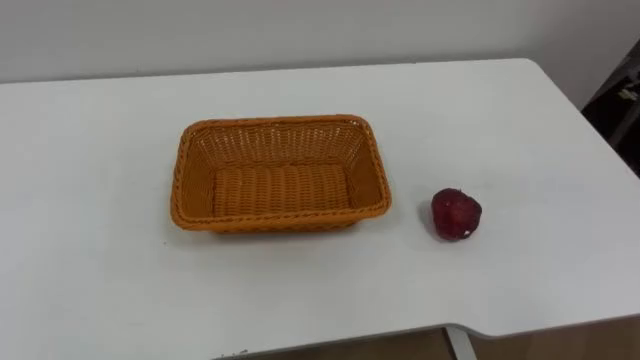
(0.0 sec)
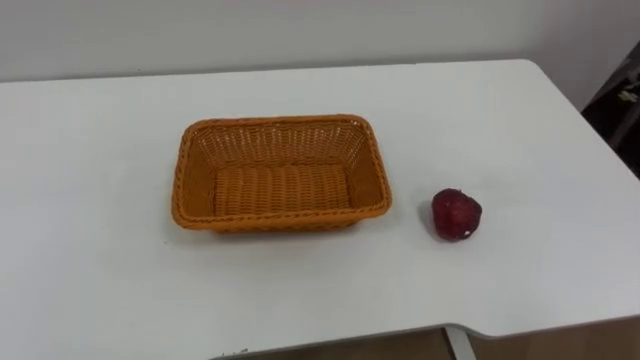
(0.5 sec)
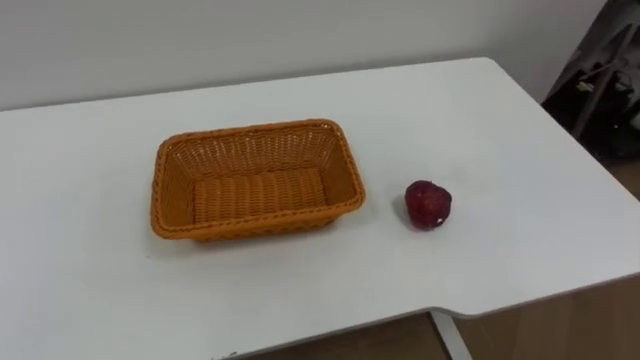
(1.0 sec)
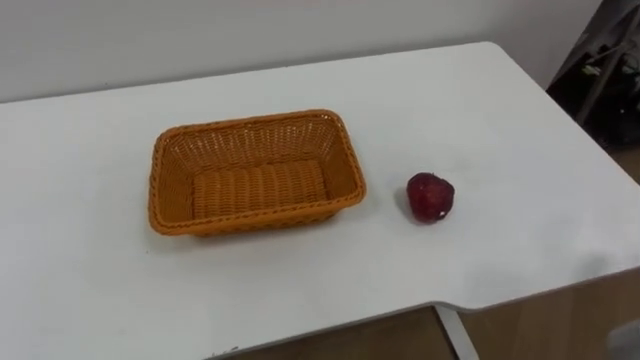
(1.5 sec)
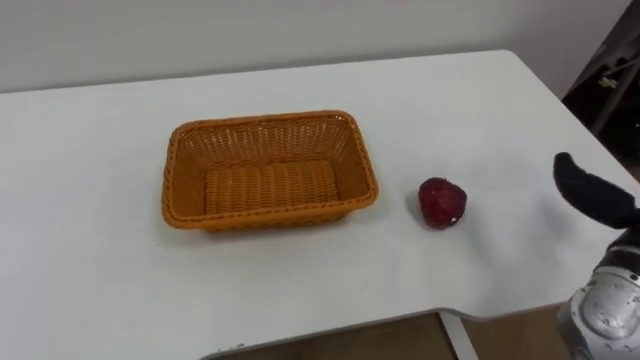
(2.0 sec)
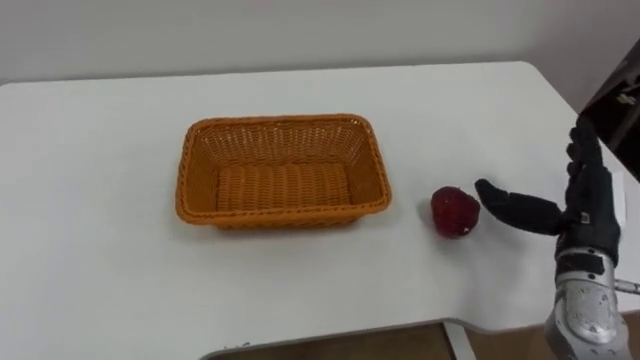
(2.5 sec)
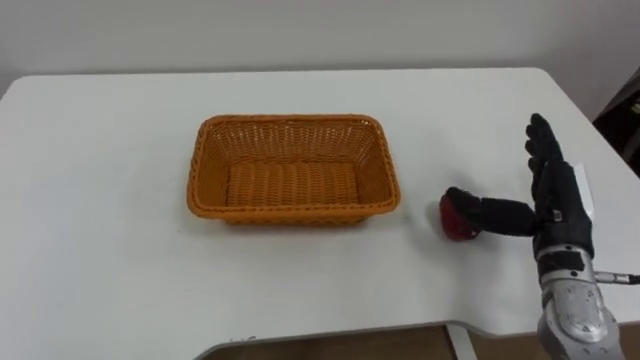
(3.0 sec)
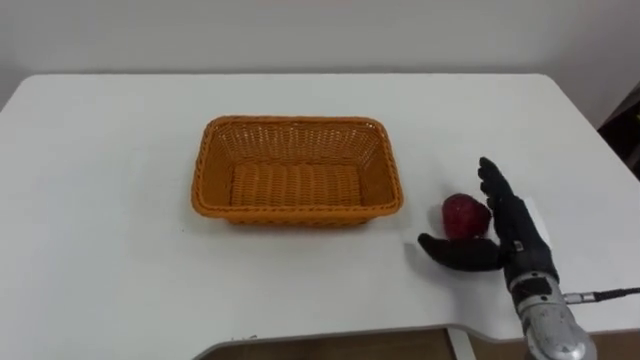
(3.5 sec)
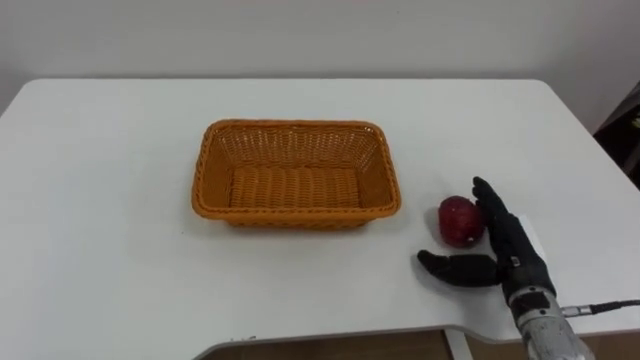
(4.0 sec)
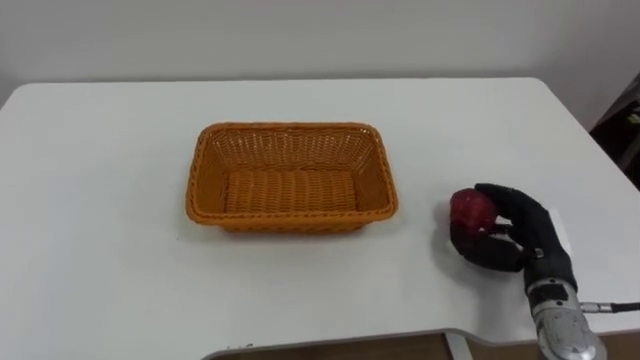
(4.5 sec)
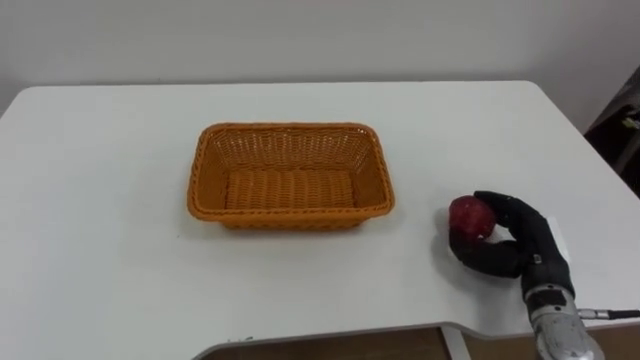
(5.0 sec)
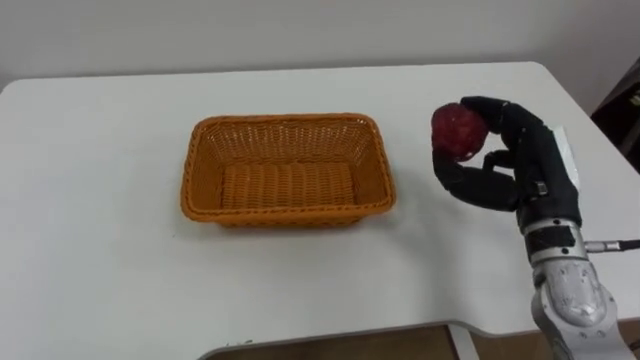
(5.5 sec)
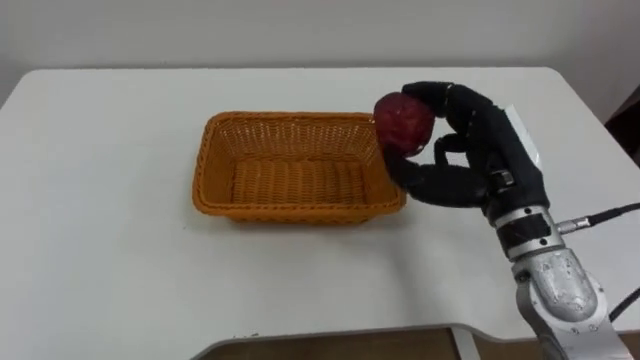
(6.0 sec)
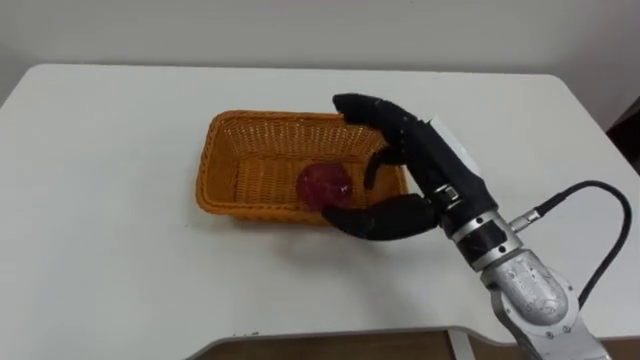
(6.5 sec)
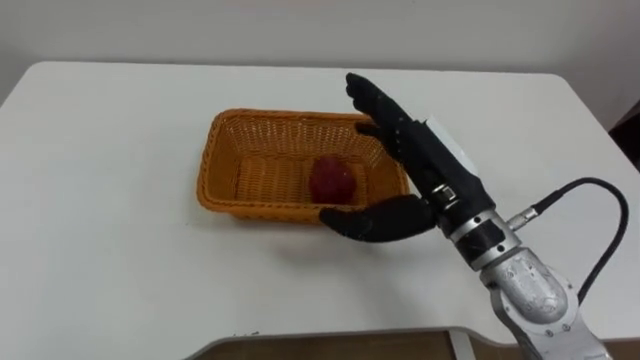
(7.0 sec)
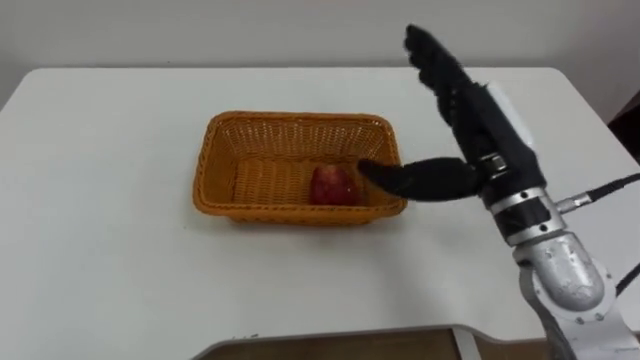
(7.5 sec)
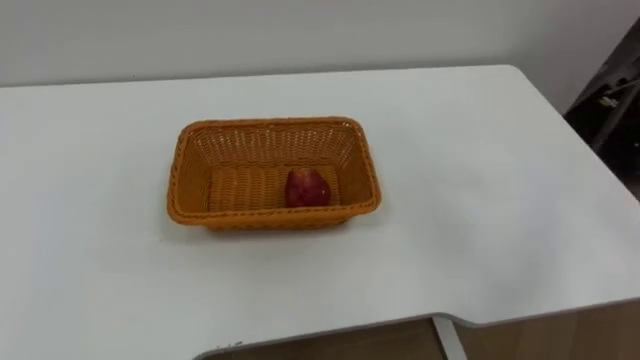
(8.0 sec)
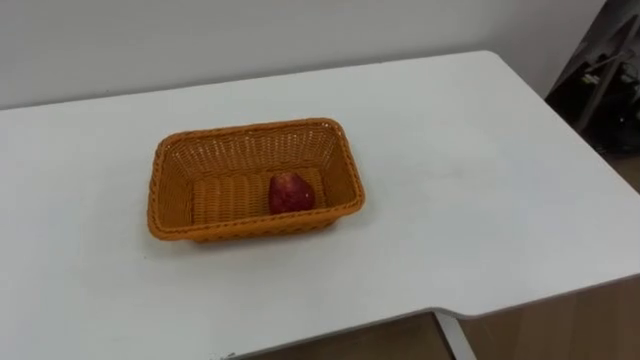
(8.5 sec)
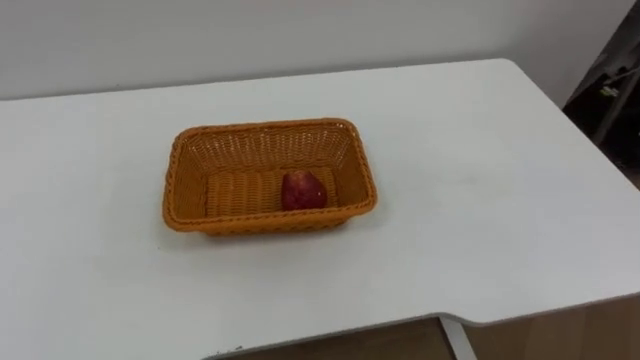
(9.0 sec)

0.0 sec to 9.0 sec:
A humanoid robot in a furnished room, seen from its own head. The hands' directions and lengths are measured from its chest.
Task of the whole recording: Pick the apple and place it in the box.
4.5 sec to 7.0 sec: The right hand shifts approximately 20 cm upward and to the left, and opens up.

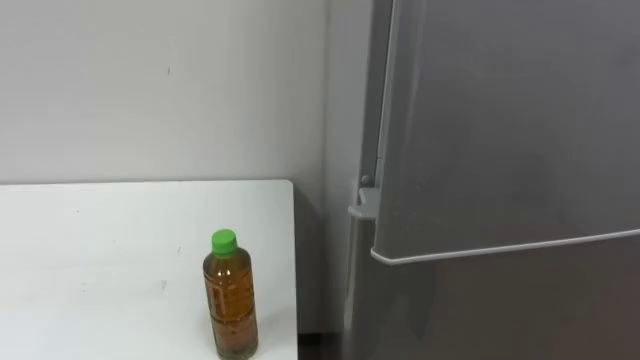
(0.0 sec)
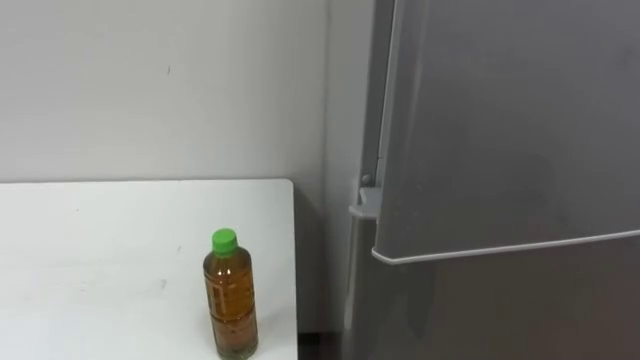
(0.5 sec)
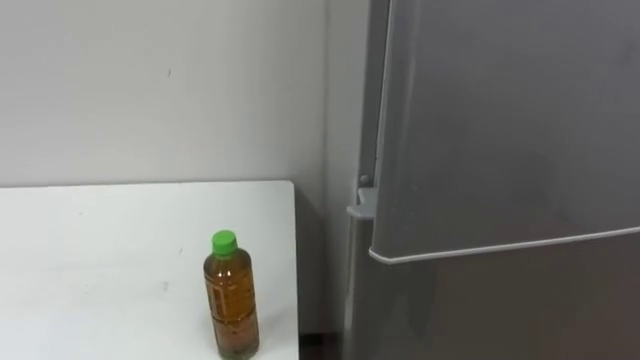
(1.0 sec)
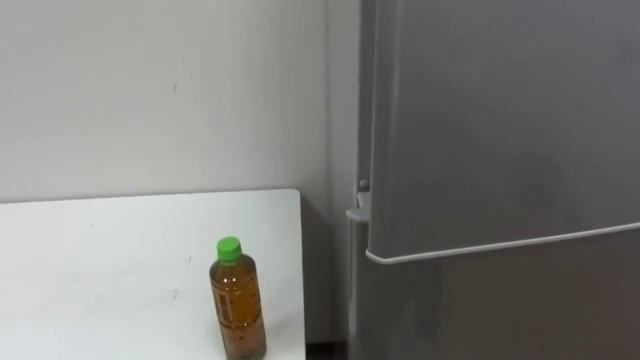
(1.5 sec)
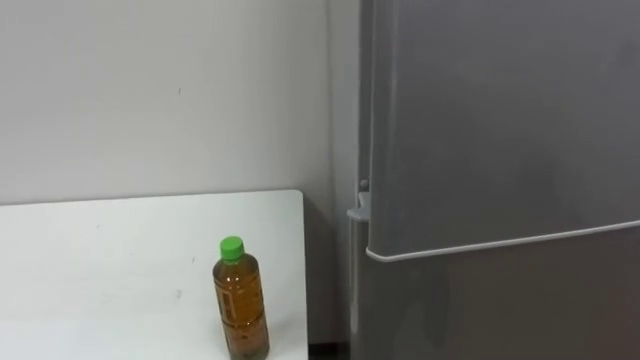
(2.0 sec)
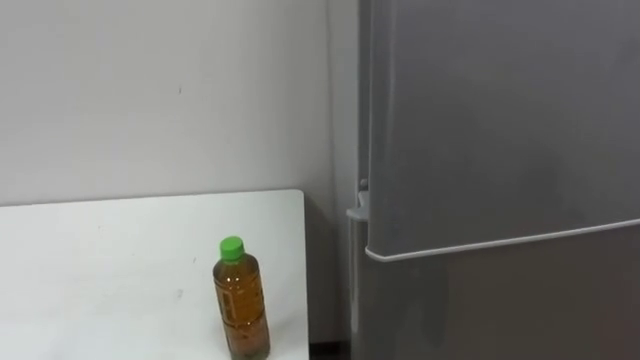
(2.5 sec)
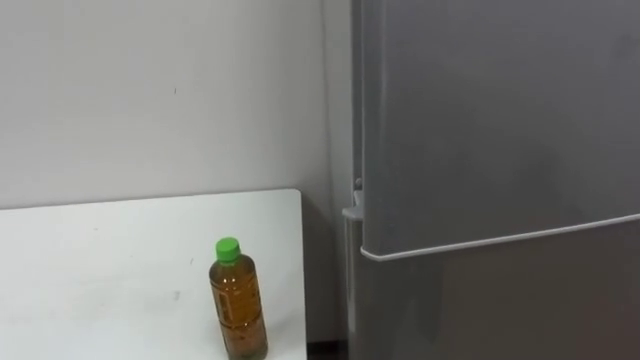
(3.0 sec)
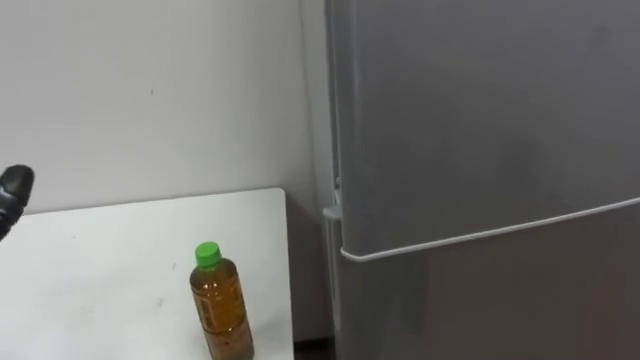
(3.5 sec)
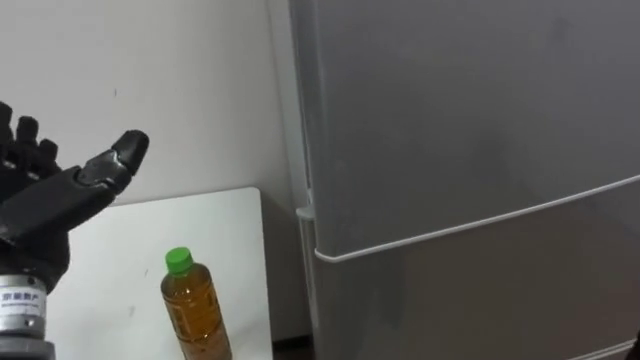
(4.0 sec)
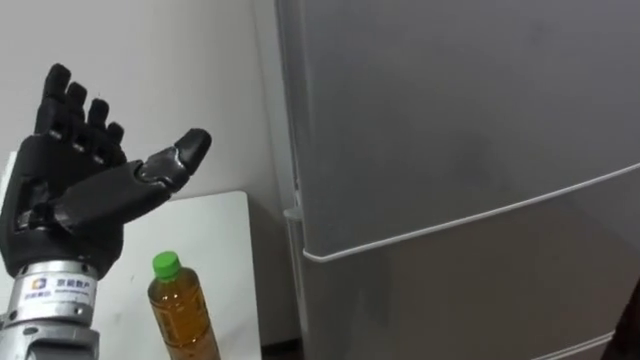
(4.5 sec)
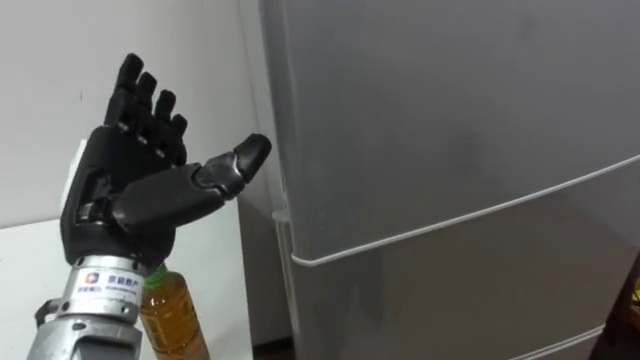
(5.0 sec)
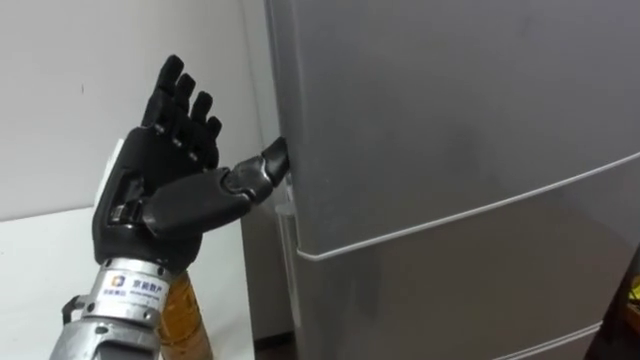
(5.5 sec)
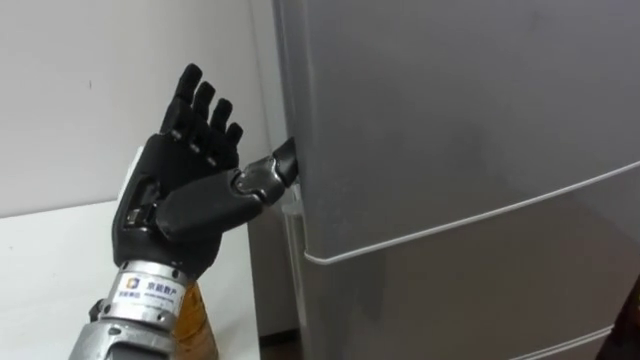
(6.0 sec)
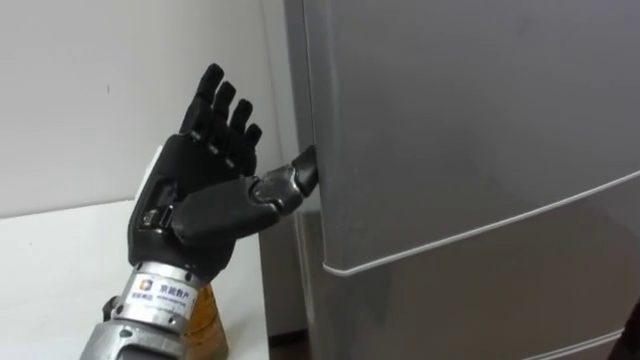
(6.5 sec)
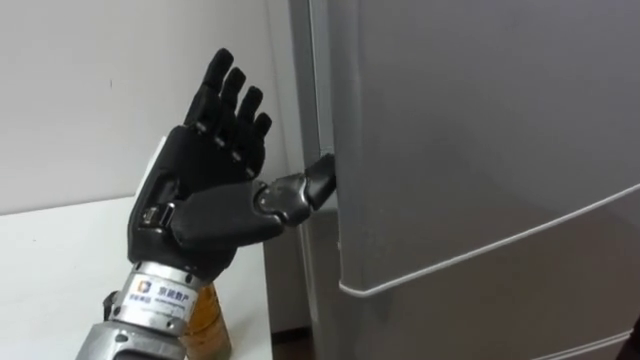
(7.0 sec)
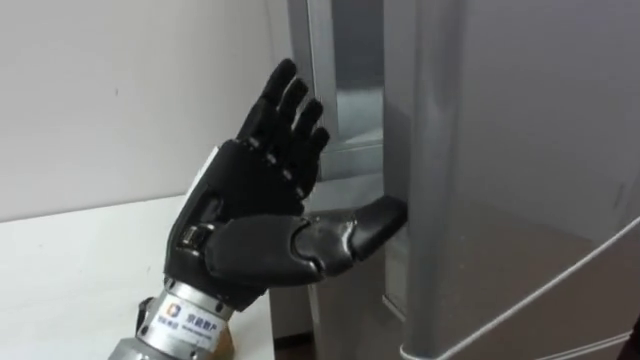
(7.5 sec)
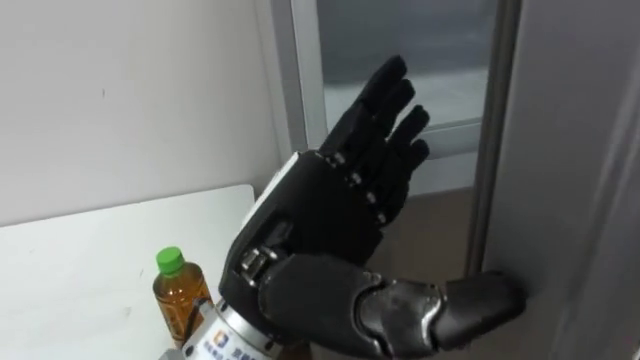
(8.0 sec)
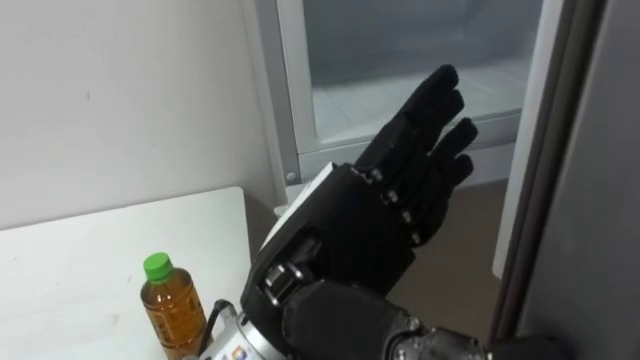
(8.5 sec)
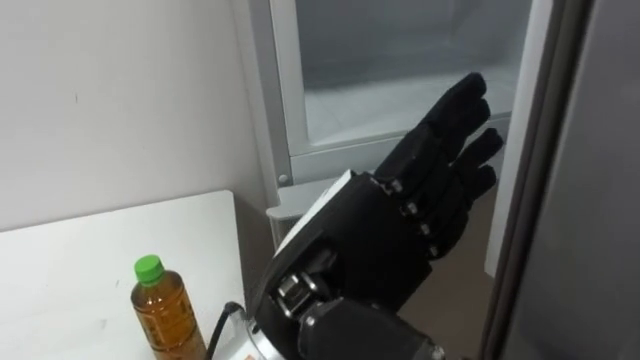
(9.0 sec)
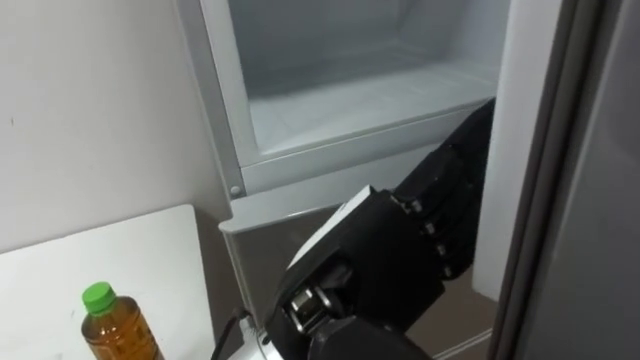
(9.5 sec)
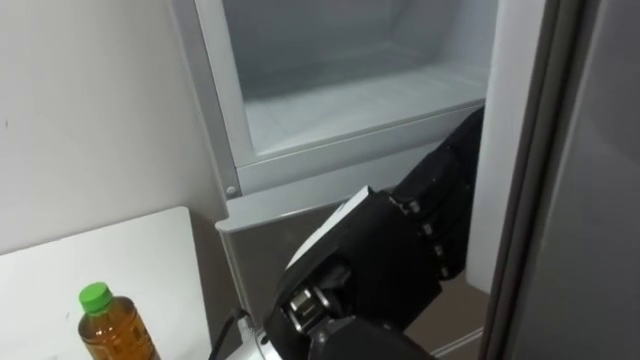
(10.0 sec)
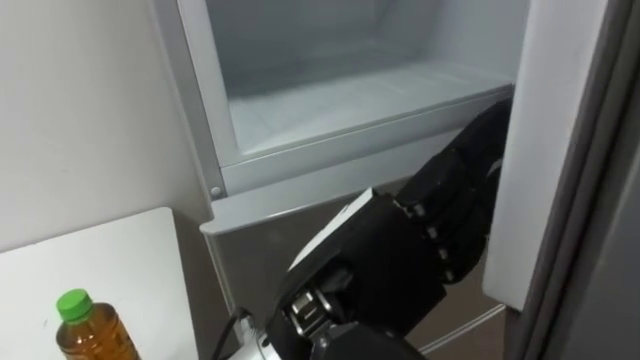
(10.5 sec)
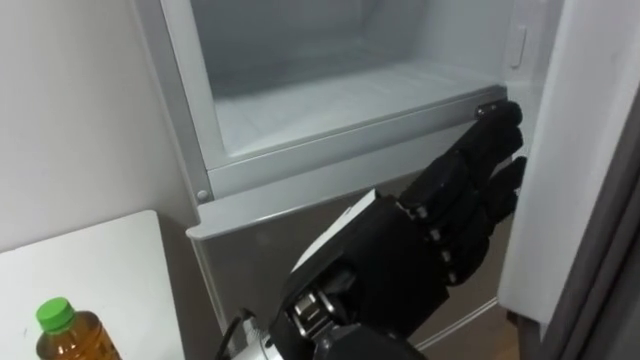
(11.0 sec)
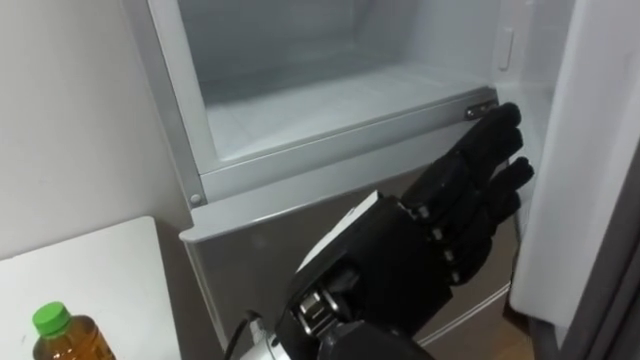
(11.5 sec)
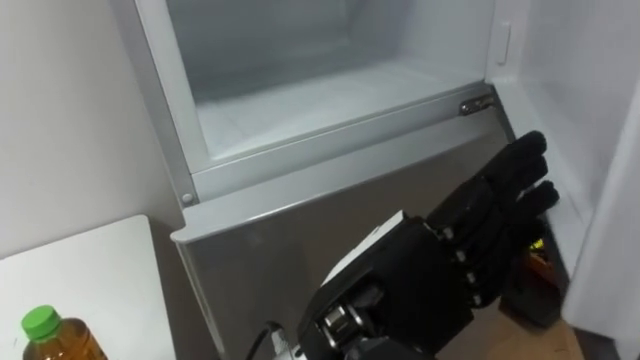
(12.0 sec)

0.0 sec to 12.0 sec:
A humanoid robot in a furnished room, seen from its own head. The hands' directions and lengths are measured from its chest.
Task of the whole recording: Open the upper refrigerator door, put the drink from the table into the refrigerator, and then close the refrigerator door.
4.0 sec to 6.0 sec: The left hand goes some 15 cm to the right.
6.0 sec to 8.0 sec: The left hand moves to the right and backward, approximately 10 cm.
